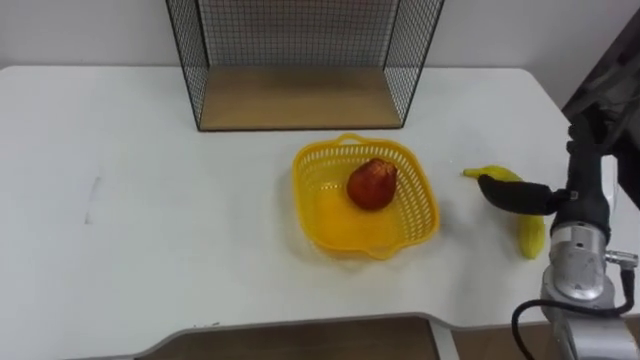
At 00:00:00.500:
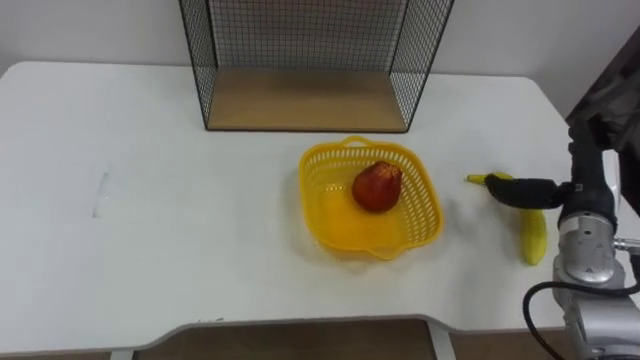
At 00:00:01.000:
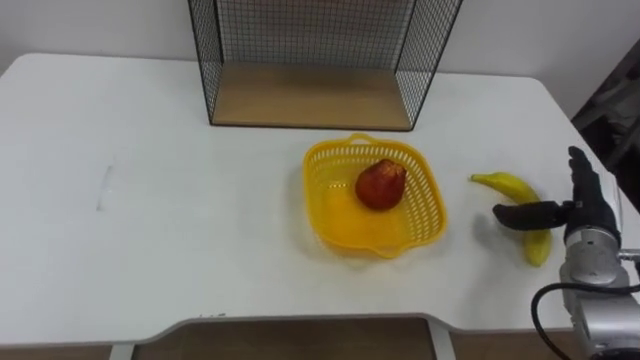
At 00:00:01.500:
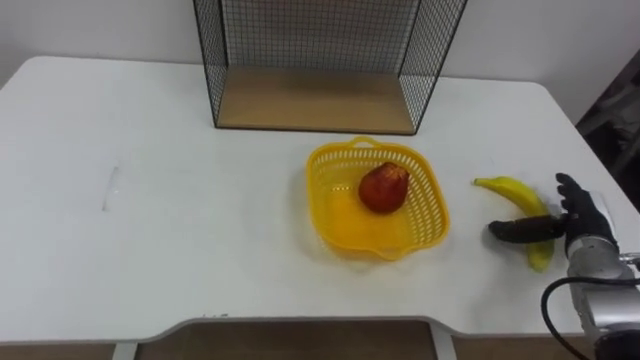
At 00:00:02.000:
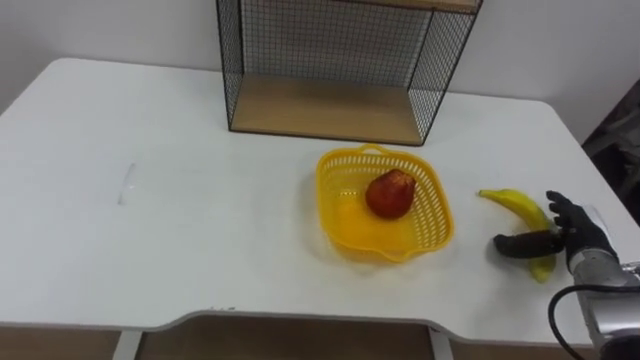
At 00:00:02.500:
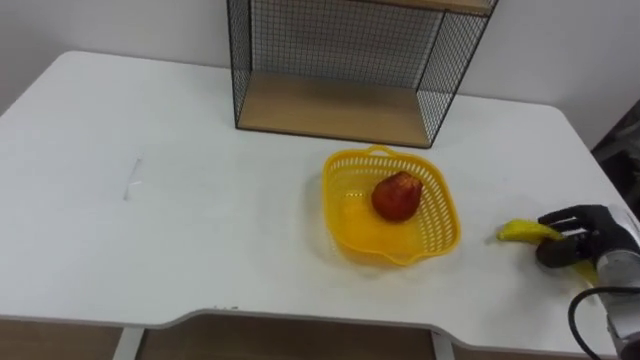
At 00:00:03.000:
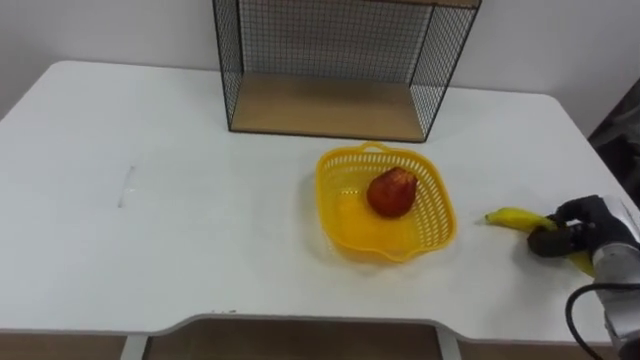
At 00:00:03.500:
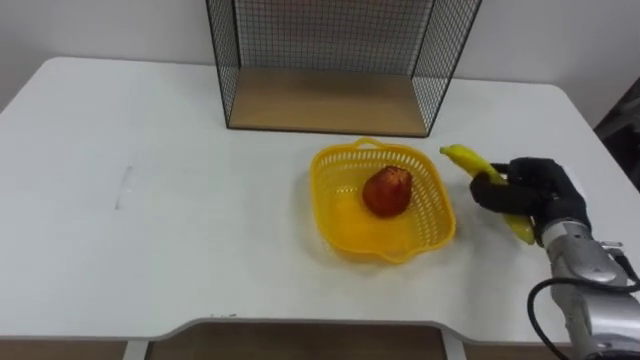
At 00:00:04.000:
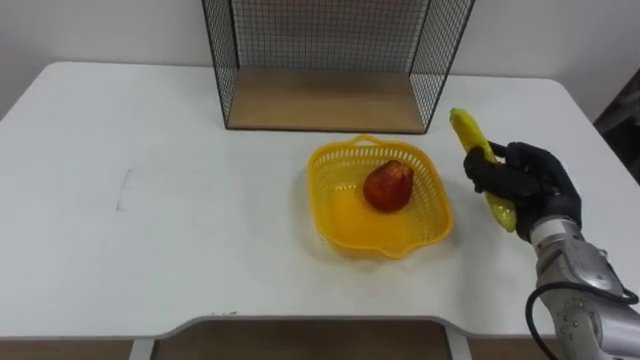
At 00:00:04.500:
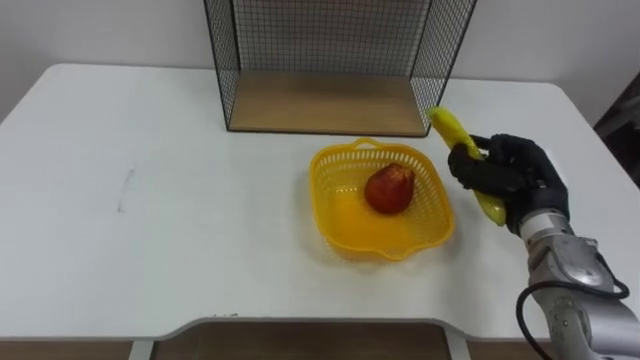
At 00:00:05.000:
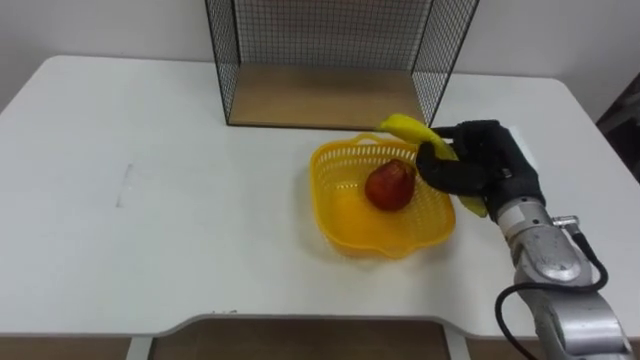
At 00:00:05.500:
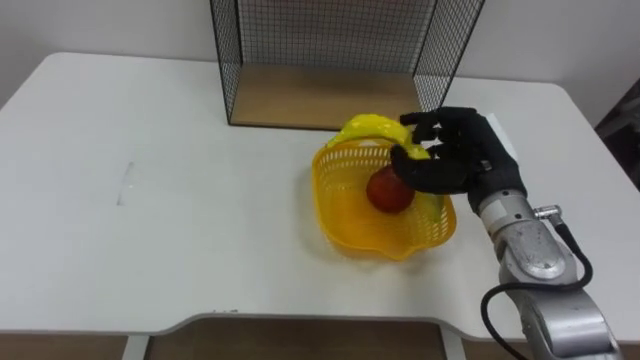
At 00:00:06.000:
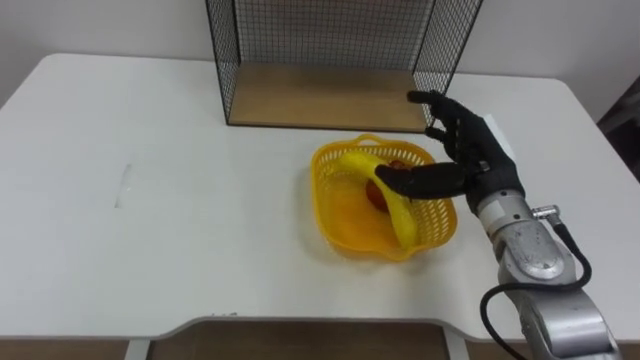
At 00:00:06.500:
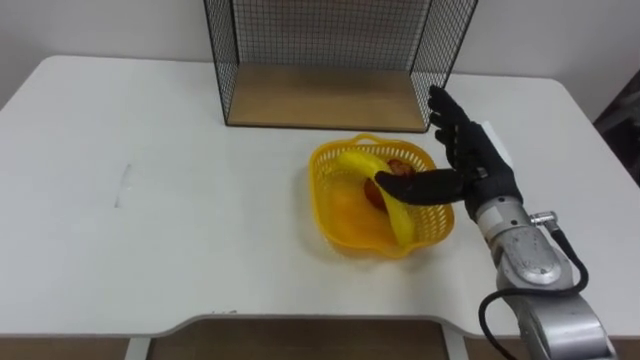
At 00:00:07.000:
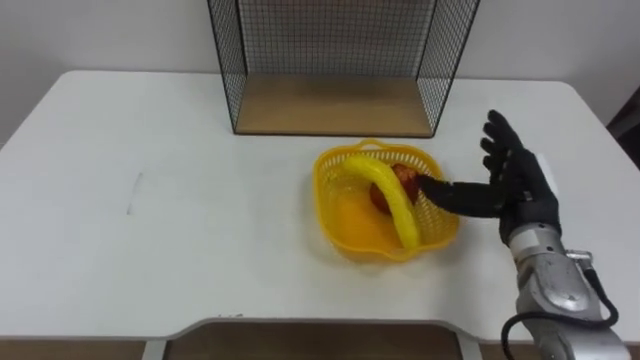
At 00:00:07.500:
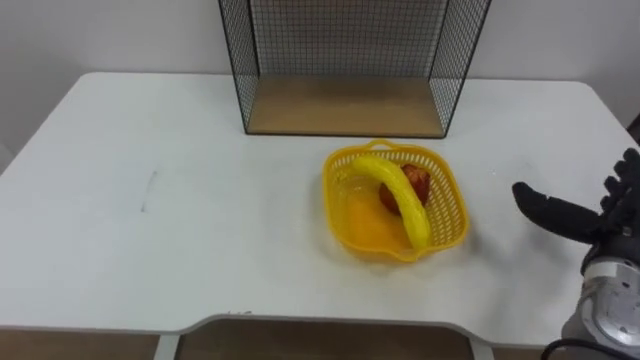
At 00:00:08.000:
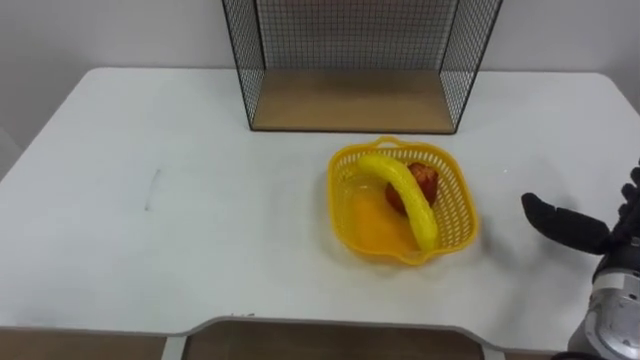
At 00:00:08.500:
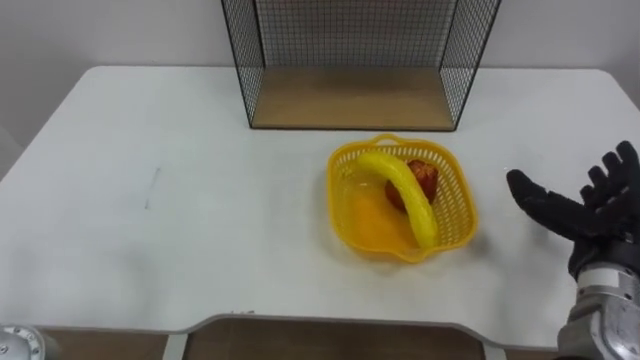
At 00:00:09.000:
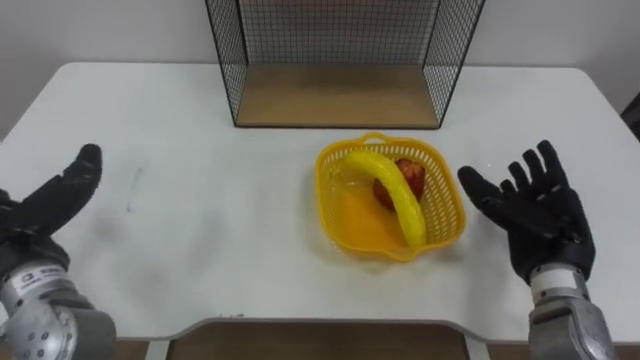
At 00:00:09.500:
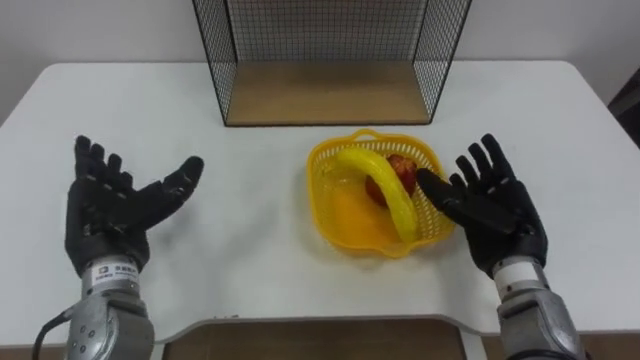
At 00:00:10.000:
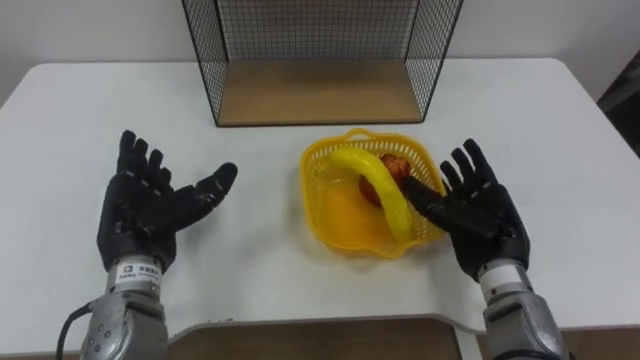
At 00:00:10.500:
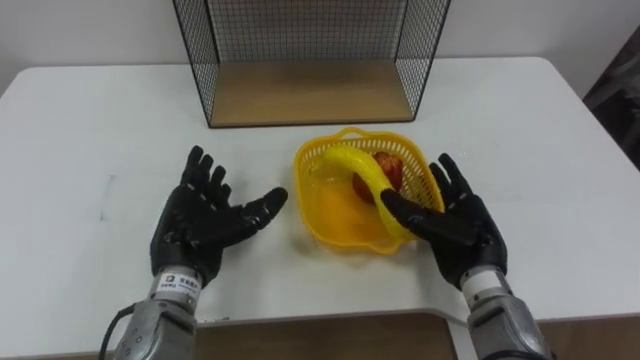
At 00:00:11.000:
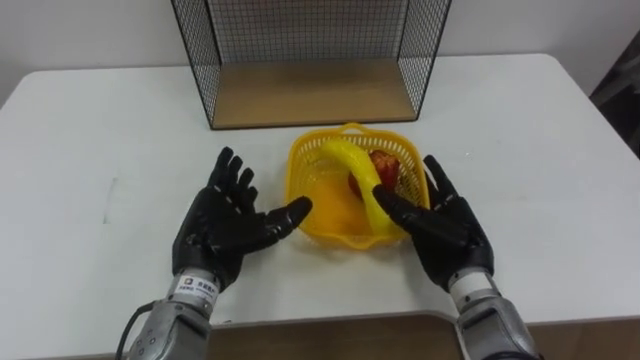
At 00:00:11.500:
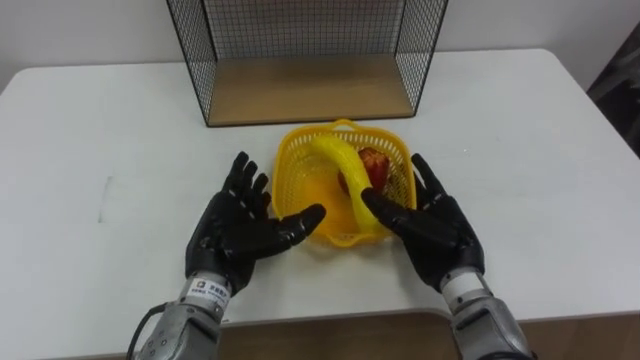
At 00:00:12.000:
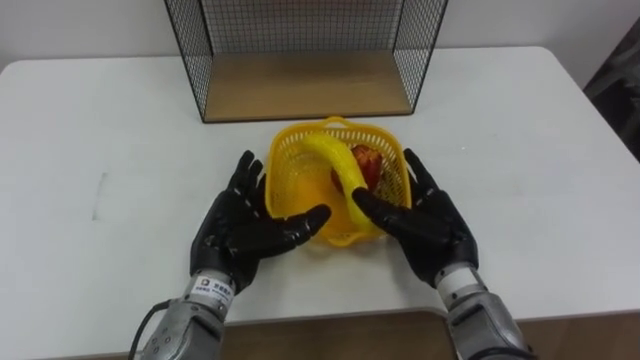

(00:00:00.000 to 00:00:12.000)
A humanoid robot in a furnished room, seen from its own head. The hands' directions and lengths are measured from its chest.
Task of the whole recording: Put the fruit on the table into the basket, then place the basket on the shelf.
00:00:00.000 - 00:00:02.000: The right hand moves downward, approximately 10 cm.
00:00:02.000 - 00:00:04.000: The right hand shifts approximately 10 cm upward and to the left, and closes.
00:00:04.000 - 00:00:06.000: The right hand heads to the left and upward, covering approximately 10 cm, and opens up.
00:00:06.000 - 00:00:08.000: The right hand heads to the right and backward, covering about 20 cm.
00:00:08.000 - 00:00:10.000: The right hand goes roughly 15 cm to the left.
00:00:10.000 - 00:00:12.000: The left hand shifts roughly 10 cm to the right. The right hand heads to the left, covering some 5 cm.

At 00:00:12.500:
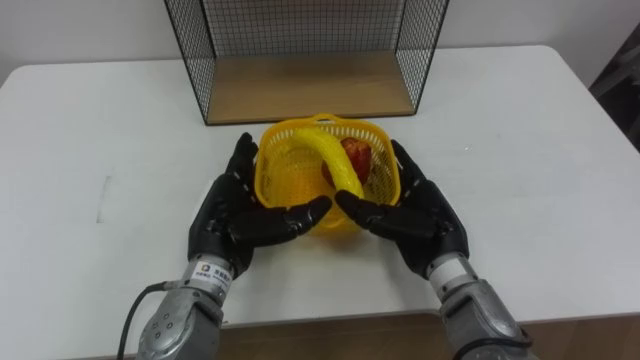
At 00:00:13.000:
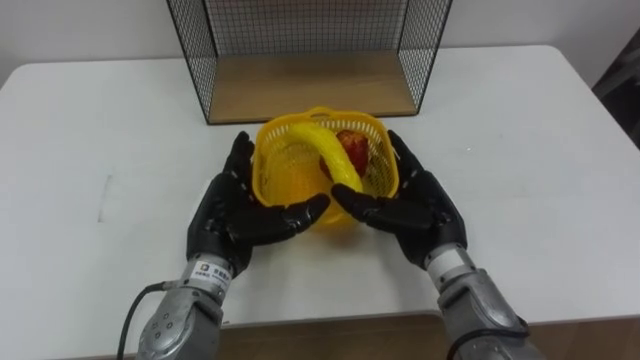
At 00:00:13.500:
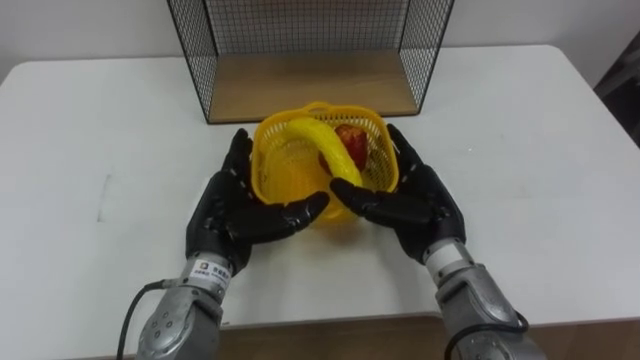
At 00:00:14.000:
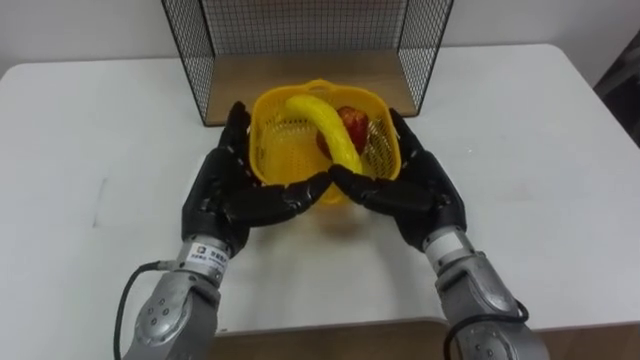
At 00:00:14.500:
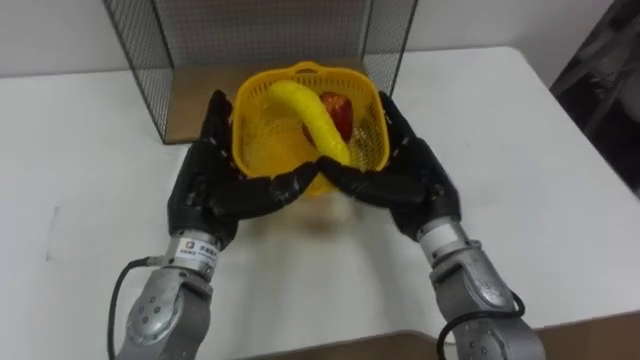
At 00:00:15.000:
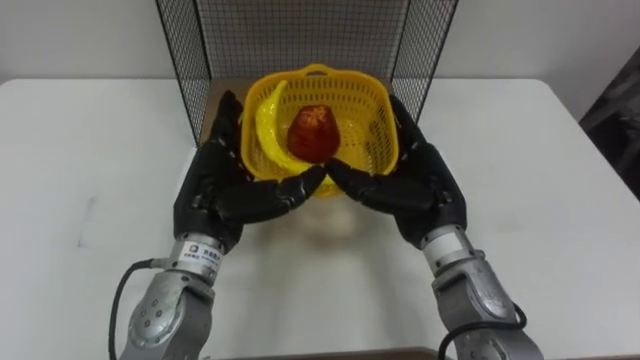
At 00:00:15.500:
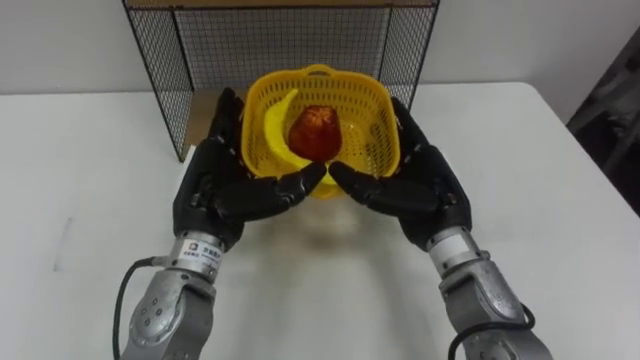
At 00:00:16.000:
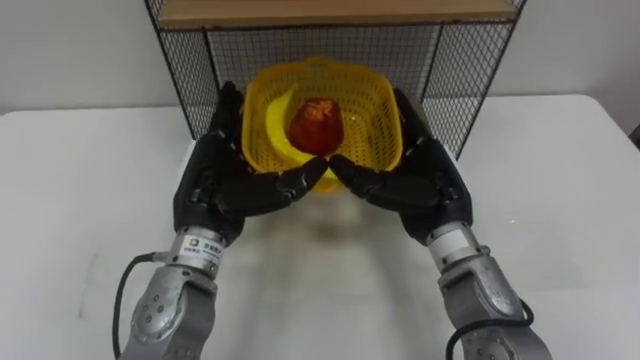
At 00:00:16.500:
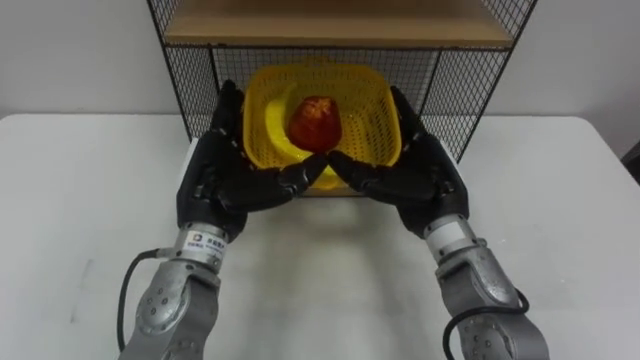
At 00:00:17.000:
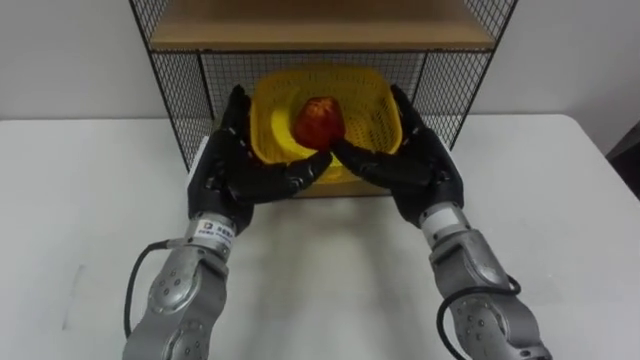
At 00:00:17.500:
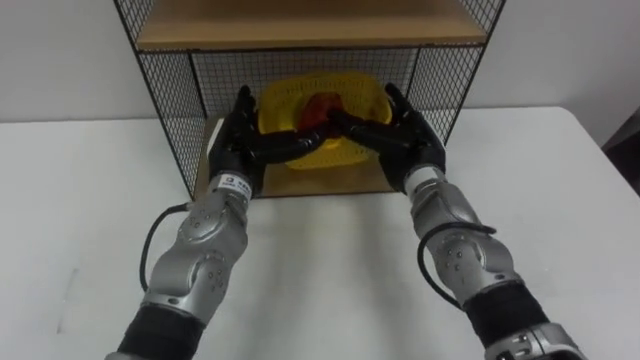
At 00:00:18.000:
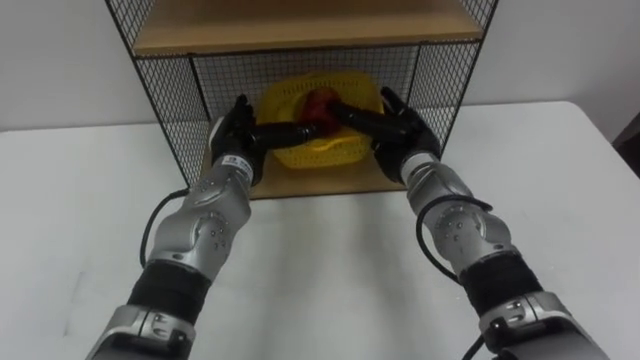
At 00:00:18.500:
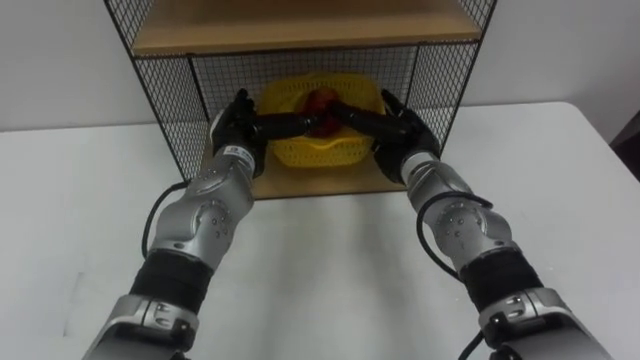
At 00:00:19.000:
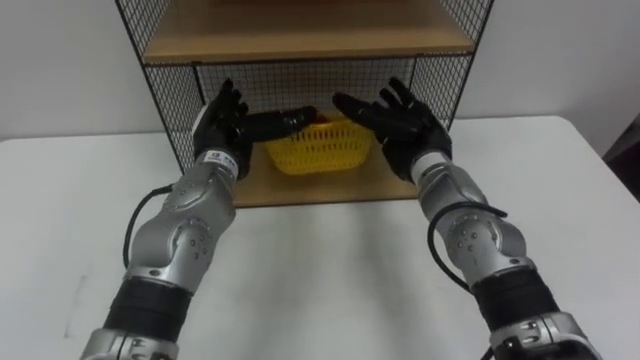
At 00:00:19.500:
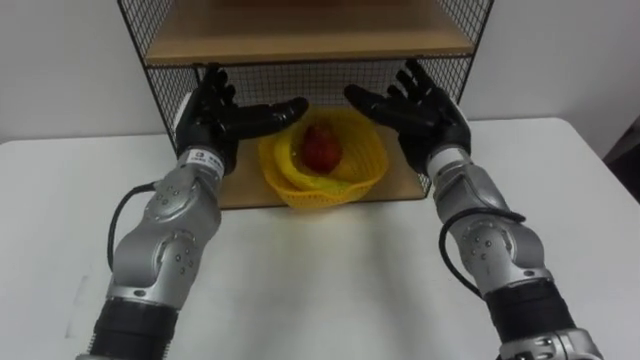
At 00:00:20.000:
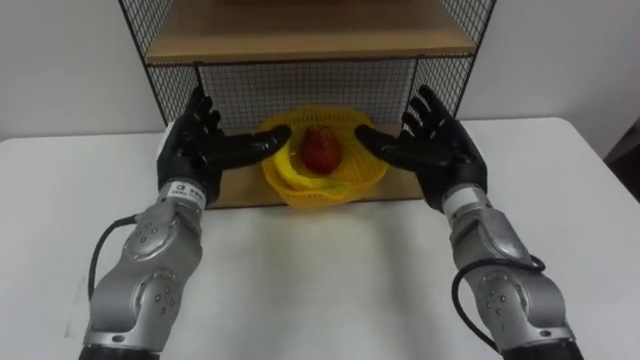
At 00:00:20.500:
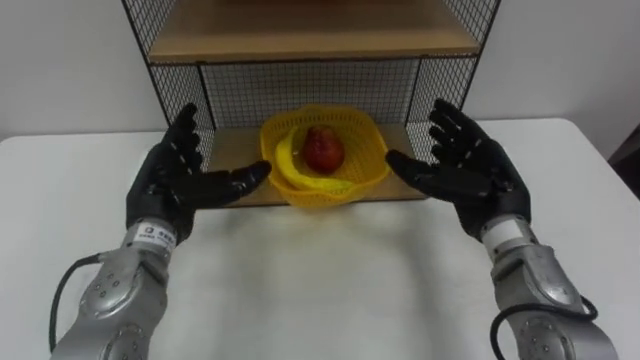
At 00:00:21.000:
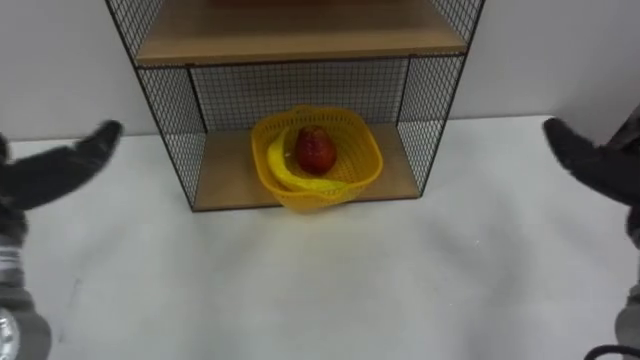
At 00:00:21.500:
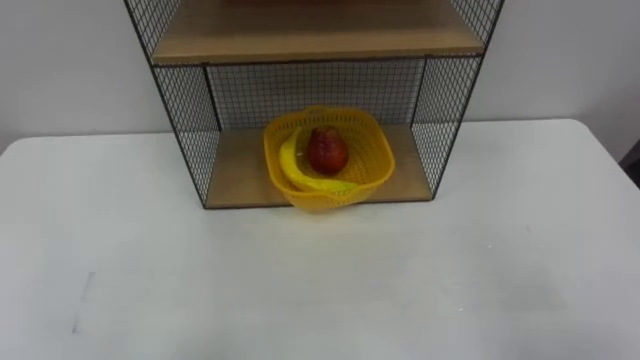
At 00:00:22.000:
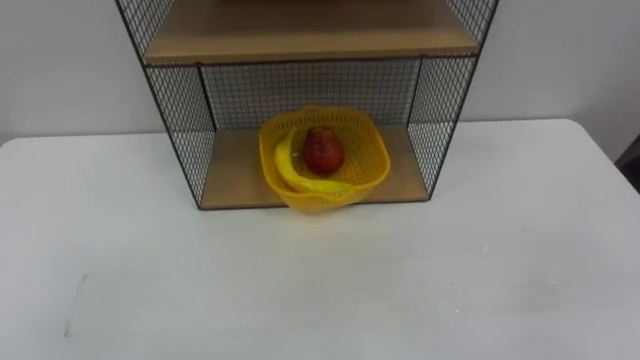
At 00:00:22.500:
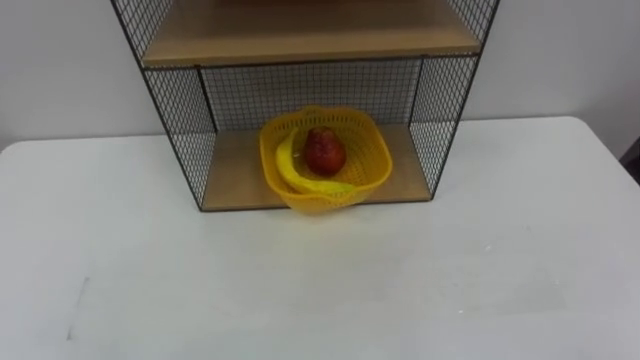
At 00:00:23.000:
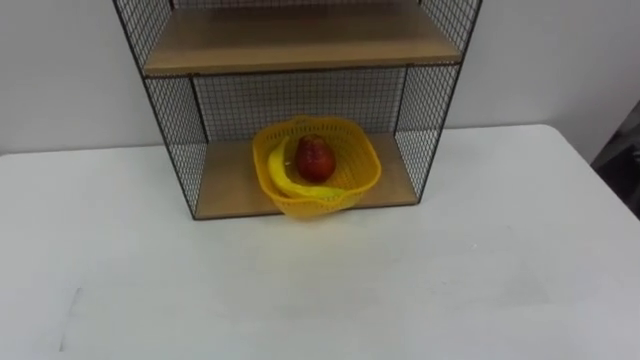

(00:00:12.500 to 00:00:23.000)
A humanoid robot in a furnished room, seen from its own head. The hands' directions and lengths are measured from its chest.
Task of the whole recording: Put the fruit on the table into the basket, then place the basket on the shelf.
00:00:12.500 - 00:00:14.500: The right hand ends up some 5 cm from where it was.
00:00:16.500 - 00:00:19.000: Both hands move forward, about 10 cm.
00:00:19.000 - 00:00:21.000: The left hand heads to the left, backward and upward, covering roughly 25 cm.
